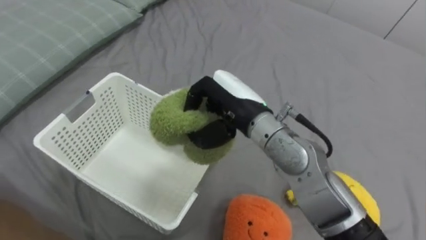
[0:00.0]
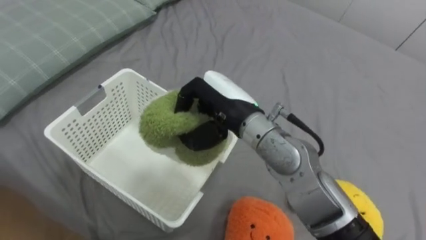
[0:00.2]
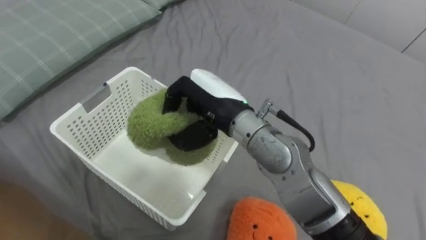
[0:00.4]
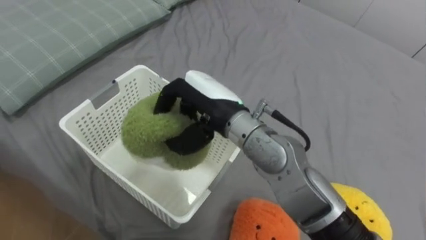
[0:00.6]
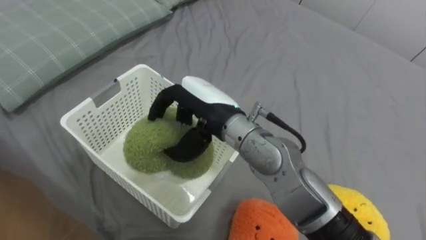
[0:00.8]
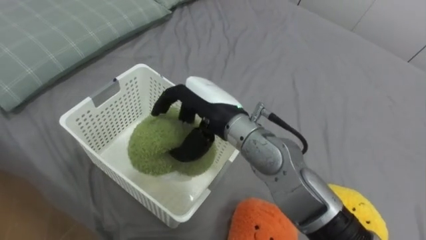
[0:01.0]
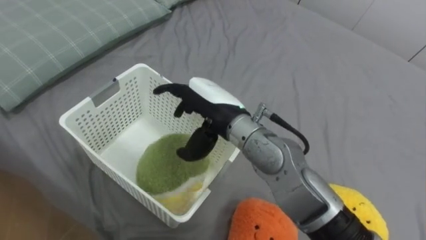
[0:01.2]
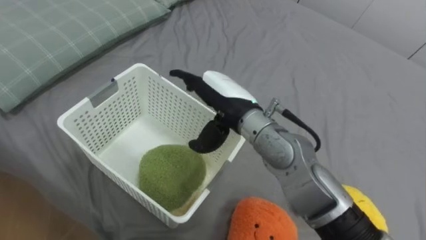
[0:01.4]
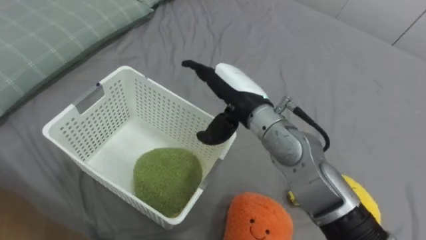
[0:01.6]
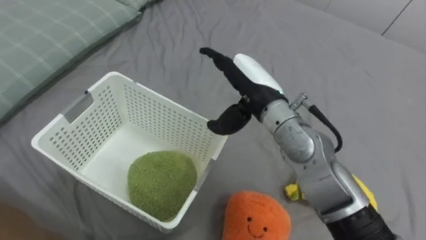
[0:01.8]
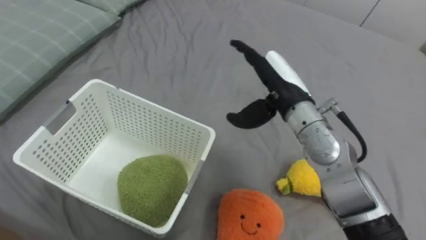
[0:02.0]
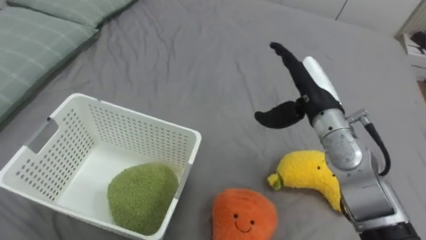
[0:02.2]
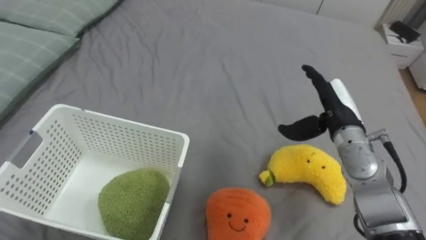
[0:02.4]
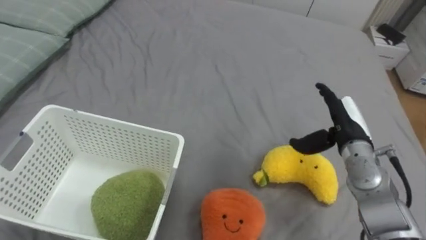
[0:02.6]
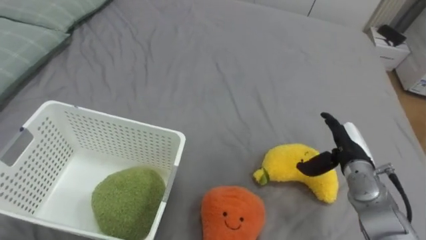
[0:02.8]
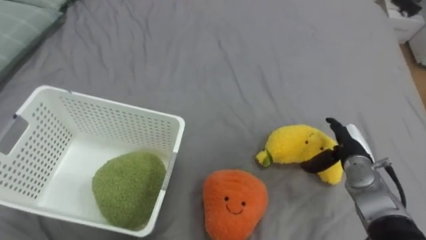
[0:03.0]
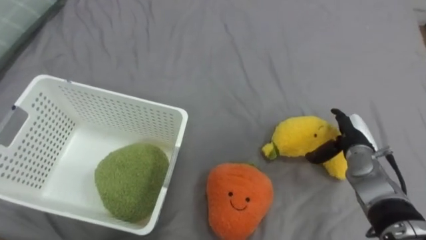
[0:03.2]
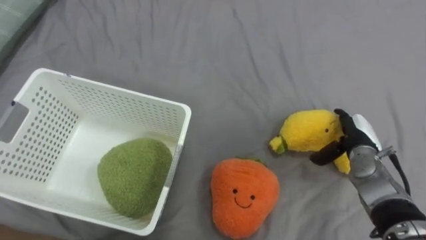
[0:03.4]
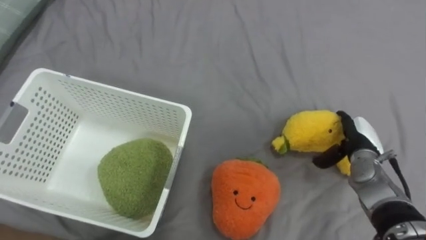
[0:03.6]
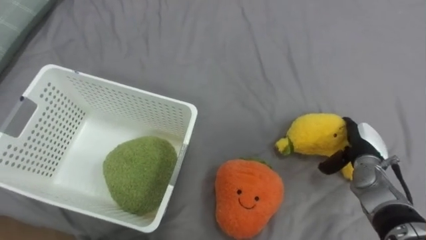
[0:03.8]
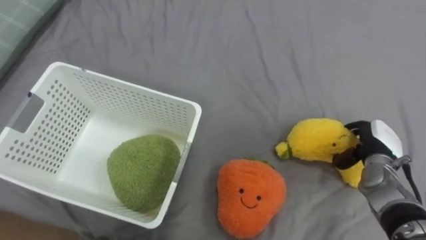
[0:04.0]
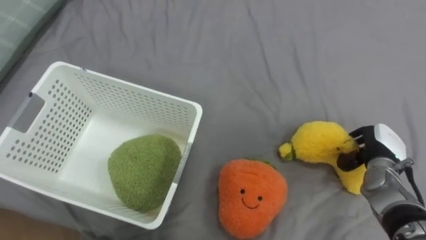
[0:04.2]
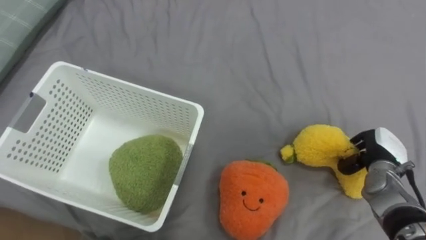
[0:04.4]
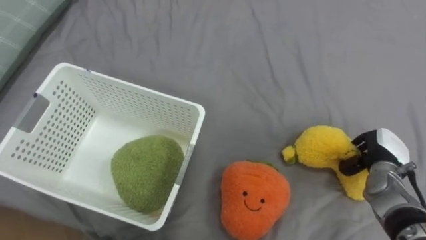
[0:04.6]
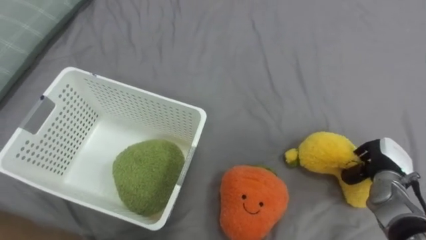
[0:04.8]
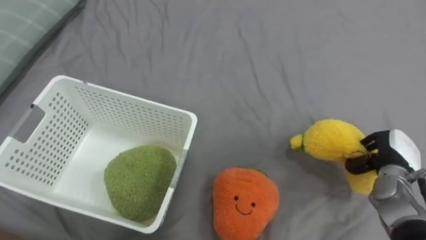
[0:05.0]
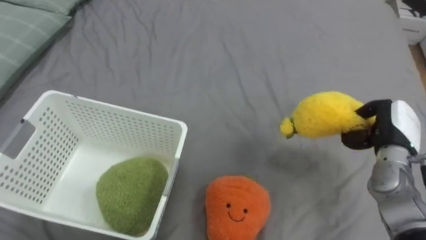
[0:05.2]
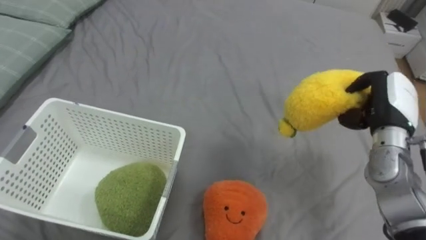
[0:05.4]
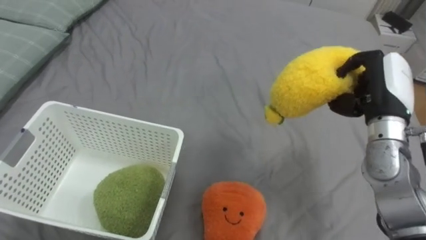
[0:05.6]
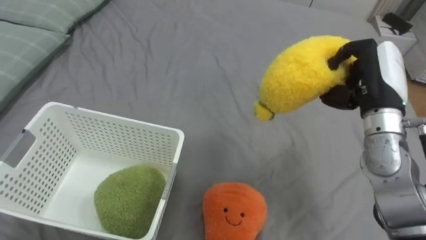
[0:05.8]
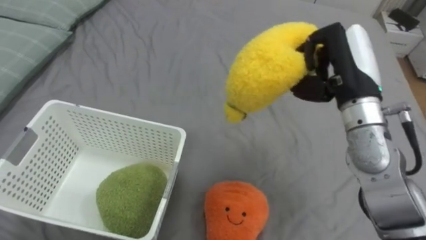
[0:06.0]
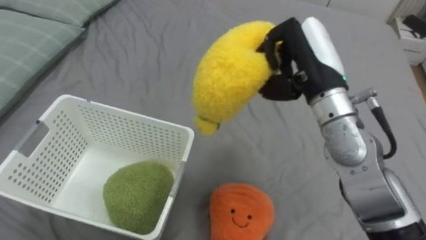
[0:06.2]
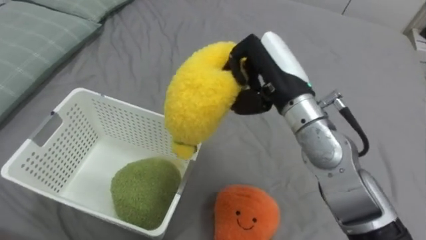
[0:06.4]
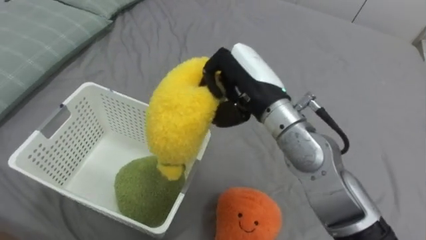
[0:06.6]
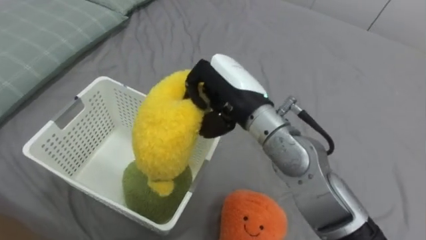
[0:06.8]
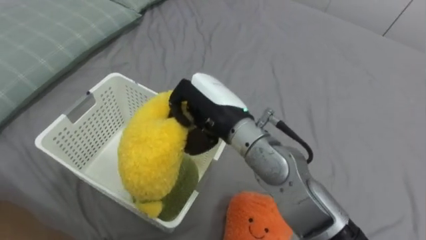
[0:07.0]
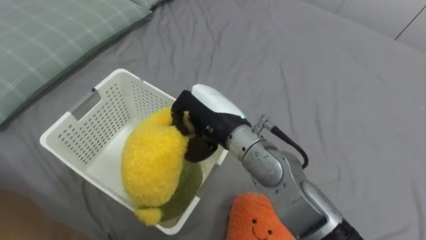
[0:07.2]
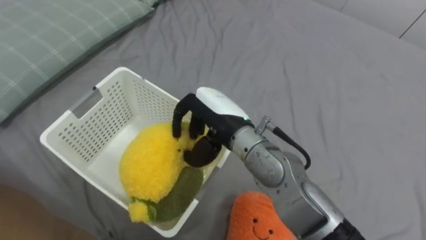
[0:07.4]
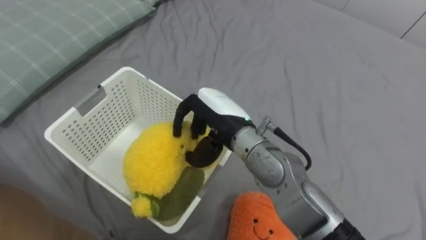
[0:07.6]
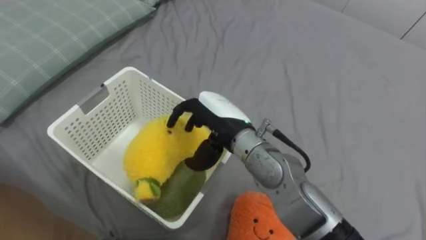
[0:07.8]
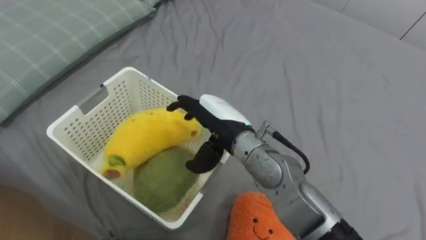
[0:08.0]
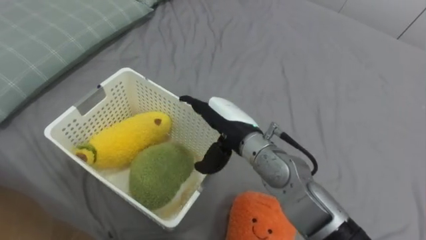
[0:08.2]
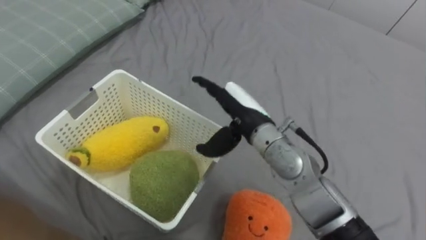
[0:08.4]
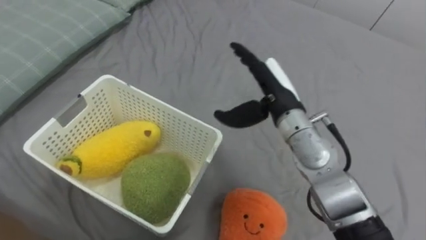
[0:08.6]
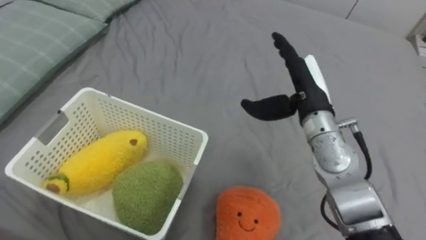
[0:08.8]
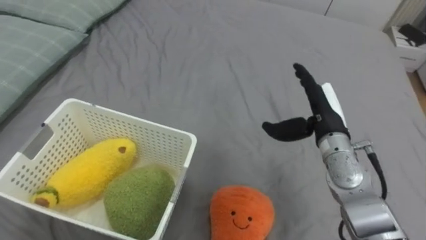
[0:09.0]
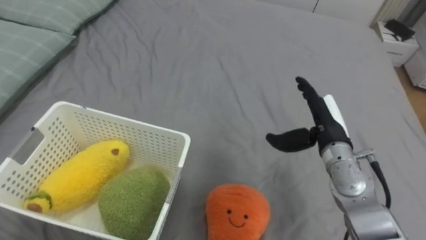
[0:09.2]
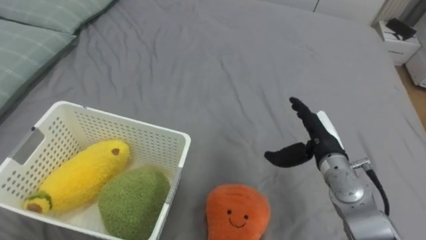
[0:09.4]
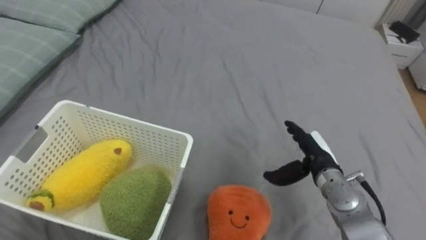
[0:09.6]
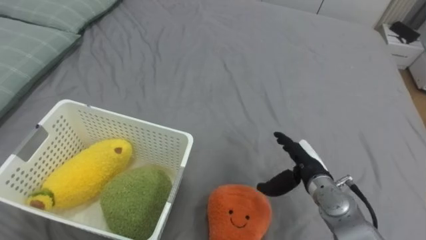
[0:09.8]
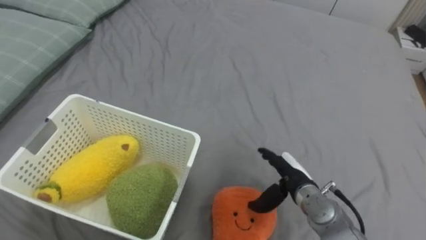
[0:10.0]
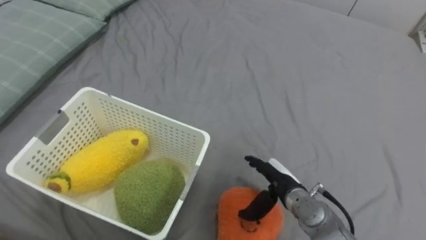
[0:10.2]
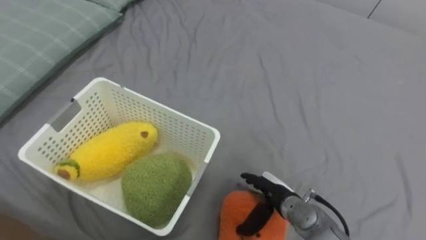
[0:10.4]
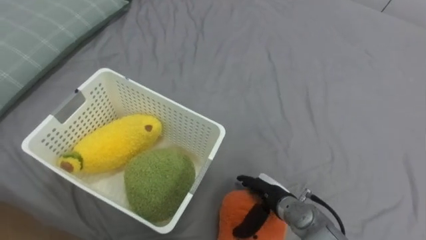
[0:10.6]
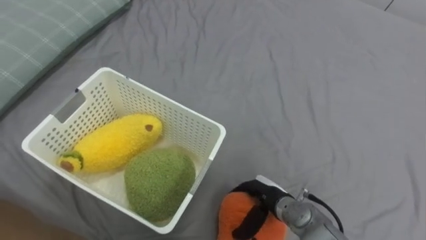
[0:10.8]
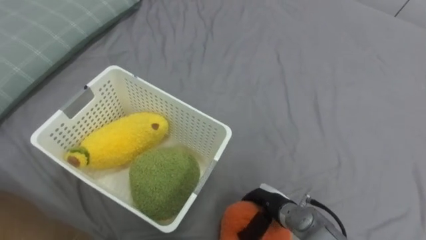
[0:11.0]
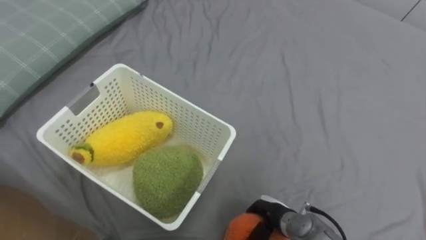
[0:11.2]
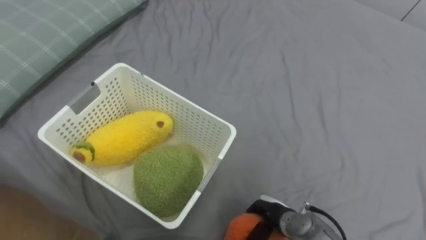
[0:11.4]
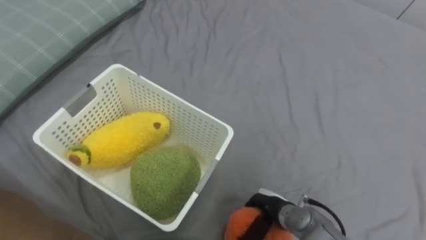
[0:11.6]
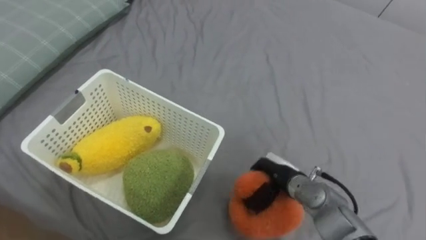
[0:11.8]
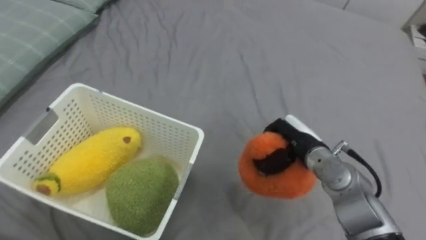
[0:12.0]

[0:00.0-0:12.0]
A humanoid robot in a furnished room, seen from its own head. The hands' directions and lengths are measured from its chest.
Task of the whole recording: Put the toys on the bed into the basket on the left.
0:00.0 to 0:01.6: The right hand opens up.
0:01.6 to 0:03.0: The right hand goes about 30 cm to the right and downward.
0:03.0 to 0:04.4: The right hand goes approximately 5 cm to the right, and closes its fingers.
0:04.4 to 0:06.0: The right hand heads upward and to the left, covering approximately 25 cm.
0:06.0 to 0:07.6: The right hand moves to the left, some 20 cm.
0:07.6 to 0:09.0: The right hand travels to the right by approximately 20 cm, and opens its fingers.
0:09.0 to 0:10.4: The right hand is displaced downward and backward by approximately 20 cm.
0:10.4 to 0:12.0: The right hand is displaced upward and forward by roughly 10 cm, and closes.

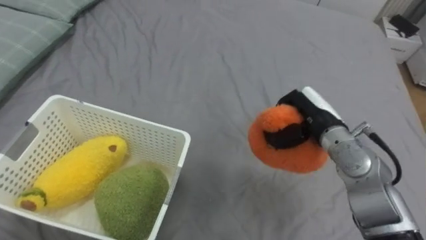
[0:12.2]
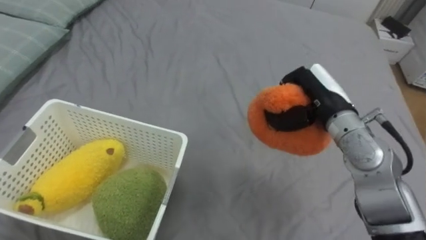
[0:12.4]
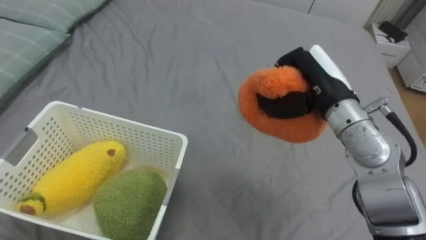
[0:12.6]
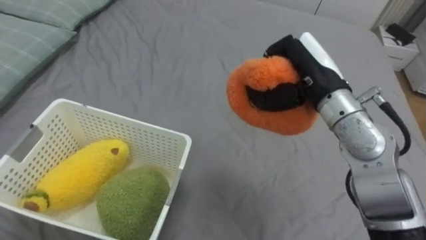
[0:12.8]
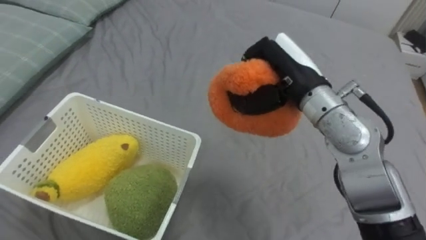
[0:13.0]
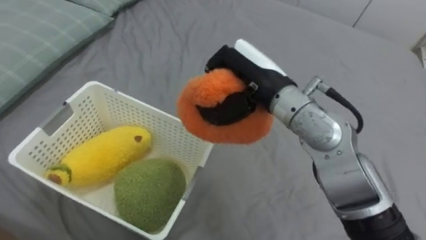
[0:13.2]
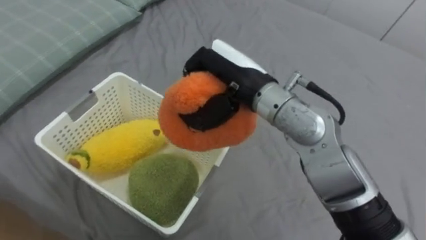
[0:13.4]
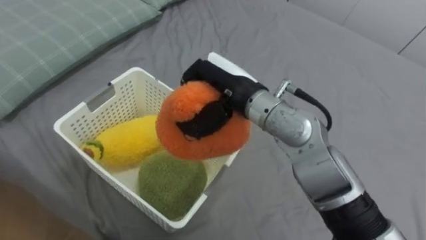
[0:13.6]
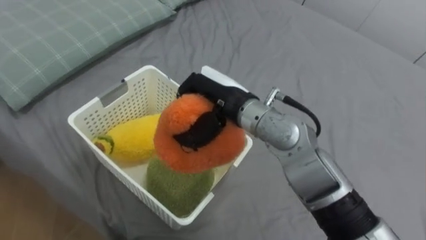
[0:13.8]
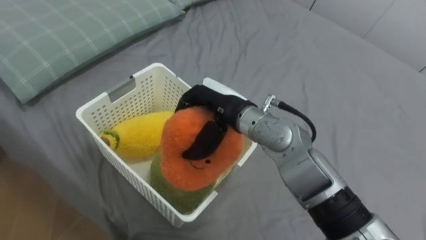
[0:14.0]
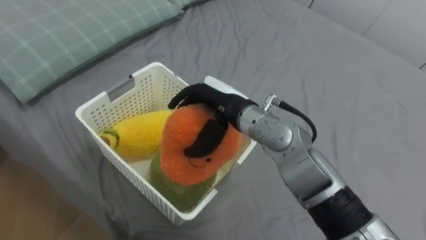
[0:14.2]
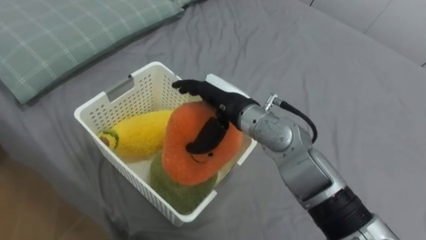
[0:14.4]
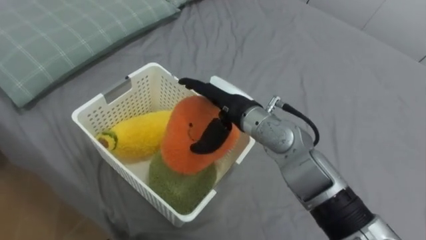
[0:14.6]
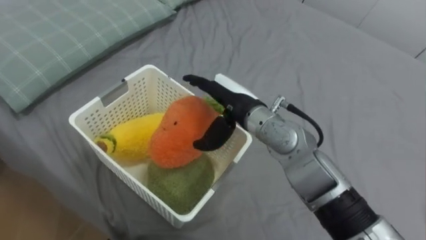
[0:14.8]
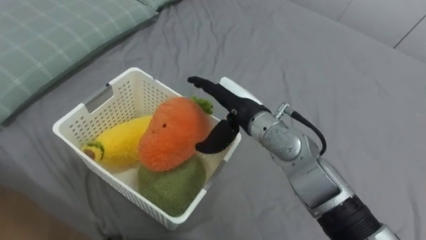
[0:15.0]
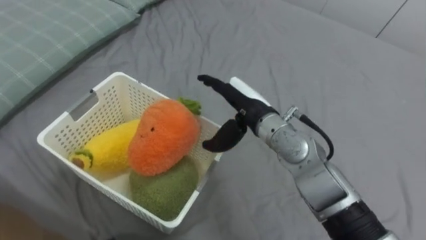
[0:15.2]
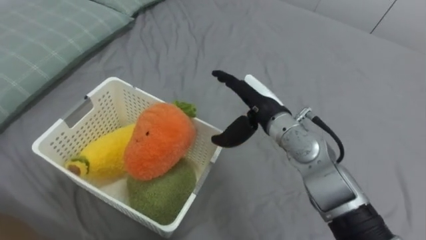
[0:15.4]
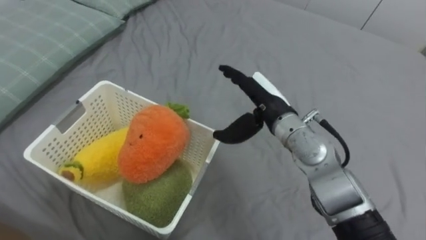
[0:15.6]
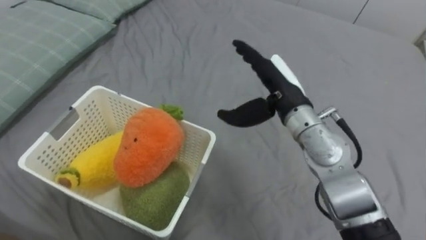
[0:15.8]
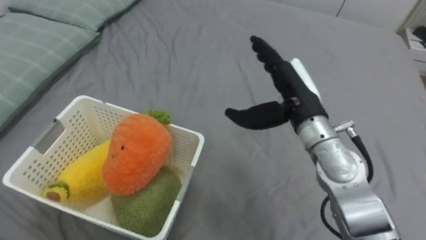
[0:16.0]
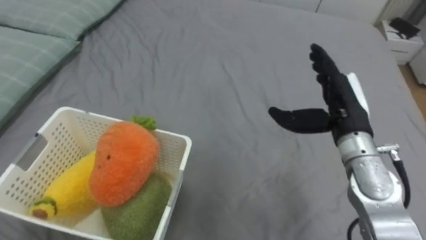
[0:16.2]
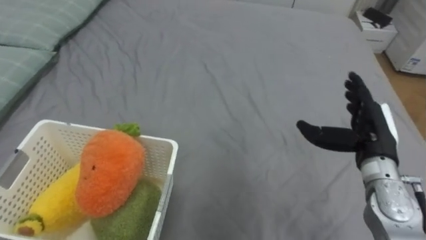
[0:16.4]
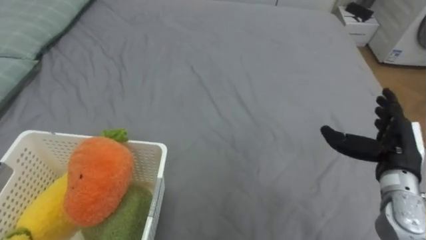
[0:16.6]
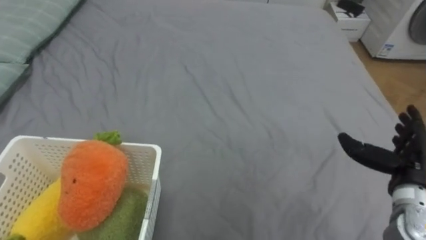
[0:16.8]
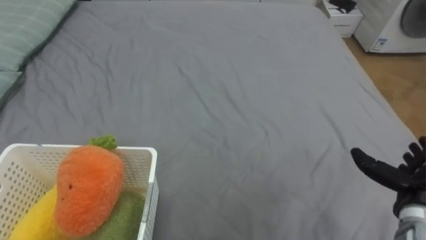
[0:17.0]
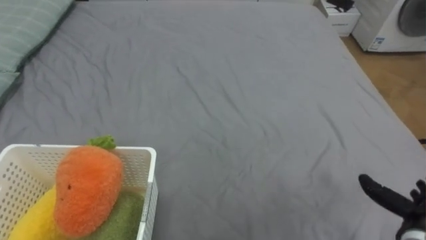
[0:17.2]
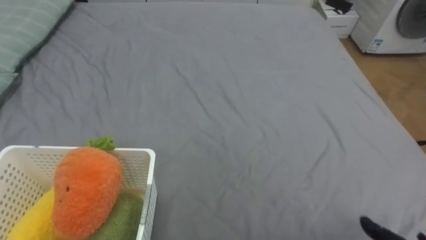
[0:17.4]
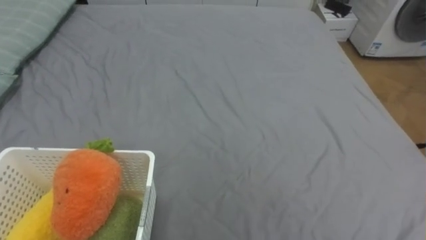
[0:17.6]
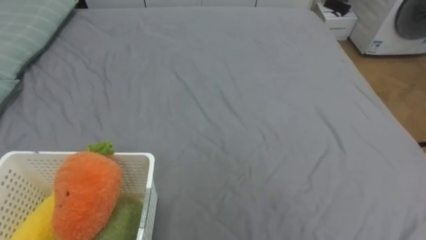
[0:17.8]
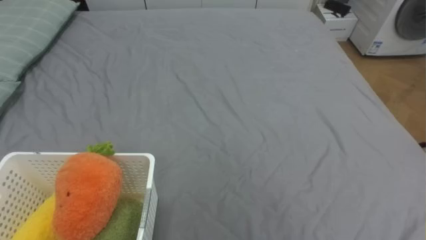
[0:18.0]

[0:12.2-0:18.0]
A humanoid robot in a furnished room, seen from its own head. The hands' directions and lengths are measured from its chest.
Task of the whole recording: Put the toys on the bed into the basket on the left.
0:12.2 to 0:13.6: The right hand travels to the left and upward by some 20 cm.
0:13.6 to 0:15.0: The right hand heads downward, covering some 5 cm, and opens its fingers.
0:15.0 to 0:16.6: The right hand moves to the right, approximately 25 cm.
